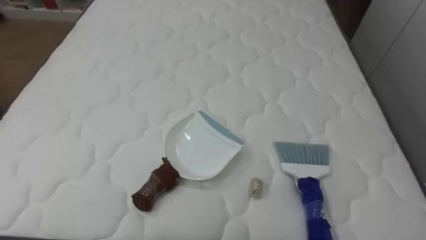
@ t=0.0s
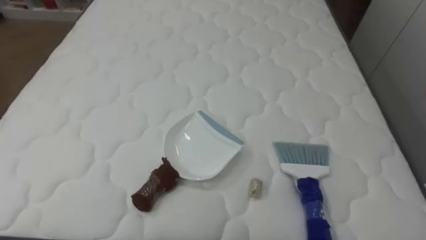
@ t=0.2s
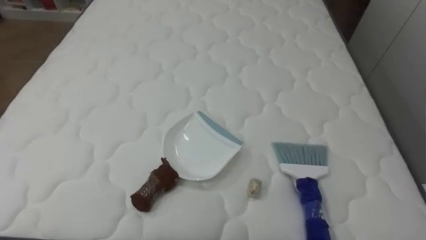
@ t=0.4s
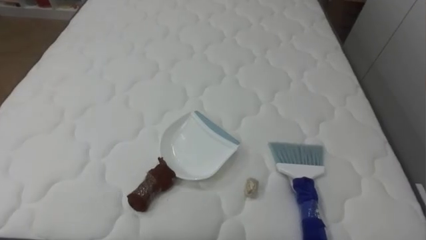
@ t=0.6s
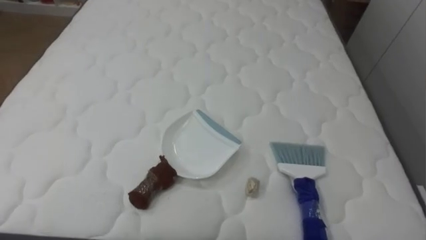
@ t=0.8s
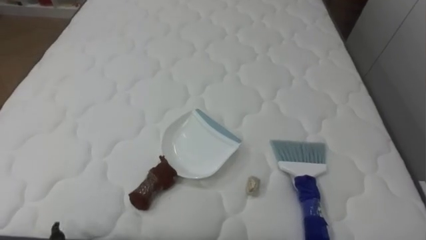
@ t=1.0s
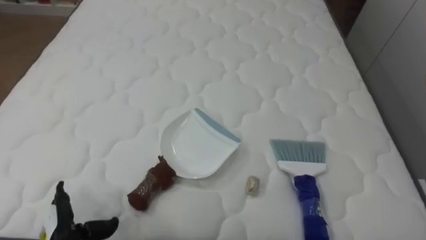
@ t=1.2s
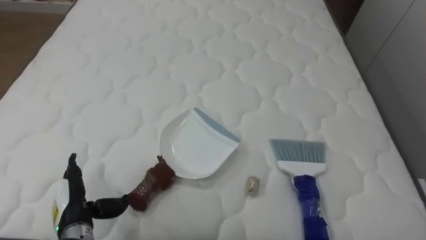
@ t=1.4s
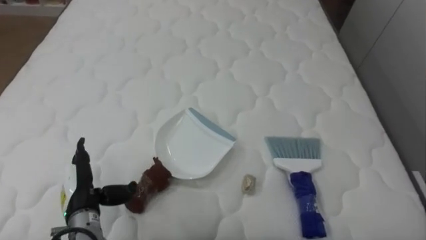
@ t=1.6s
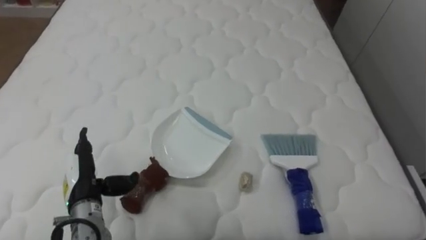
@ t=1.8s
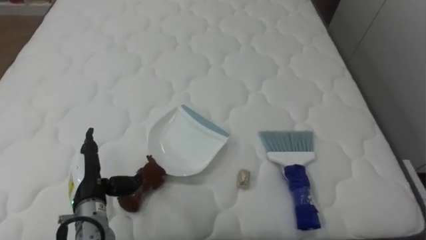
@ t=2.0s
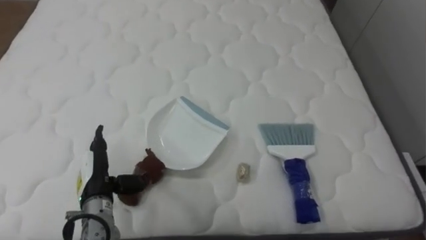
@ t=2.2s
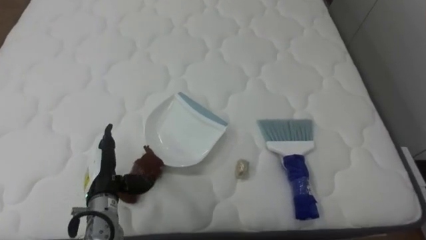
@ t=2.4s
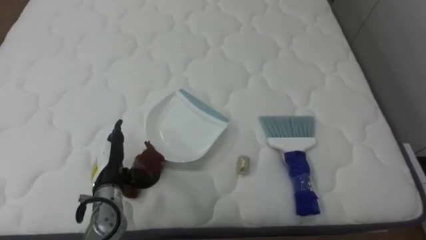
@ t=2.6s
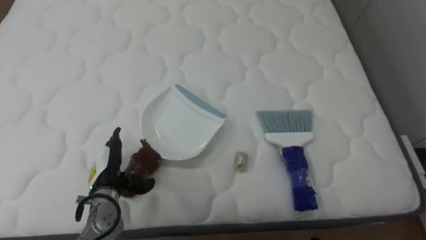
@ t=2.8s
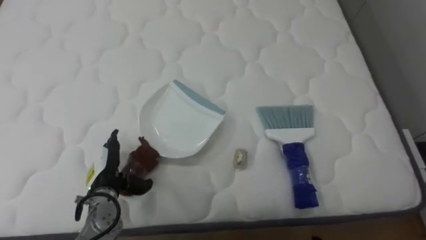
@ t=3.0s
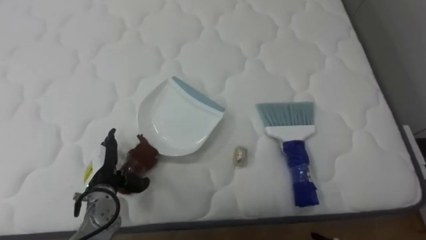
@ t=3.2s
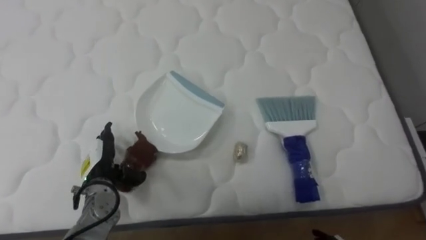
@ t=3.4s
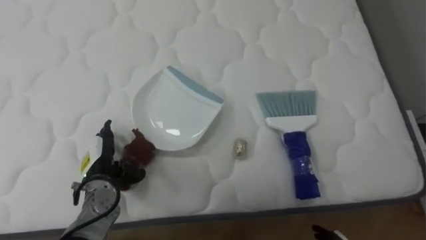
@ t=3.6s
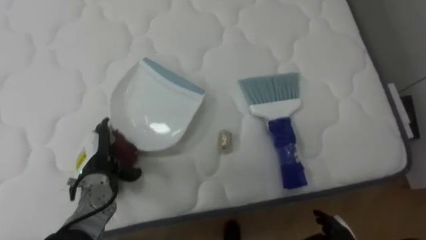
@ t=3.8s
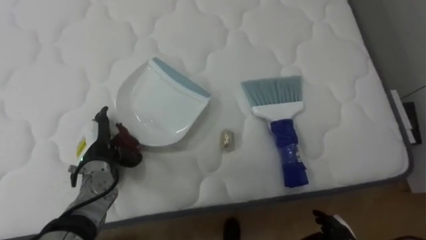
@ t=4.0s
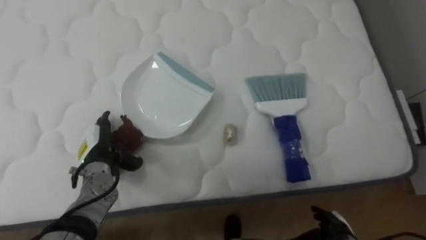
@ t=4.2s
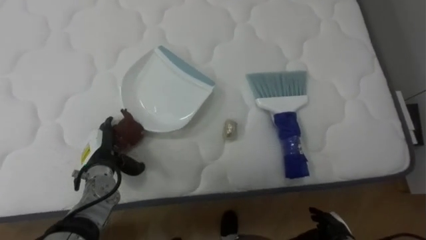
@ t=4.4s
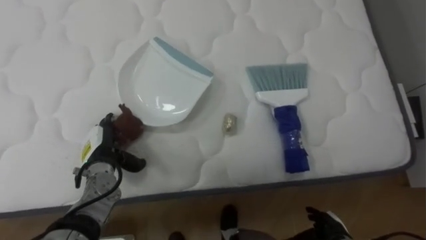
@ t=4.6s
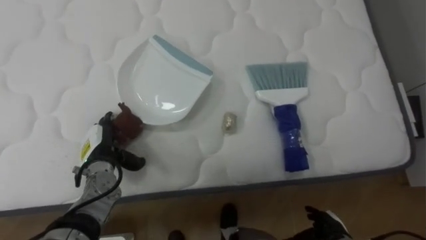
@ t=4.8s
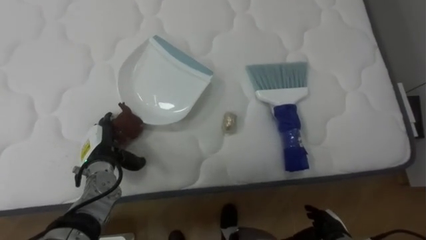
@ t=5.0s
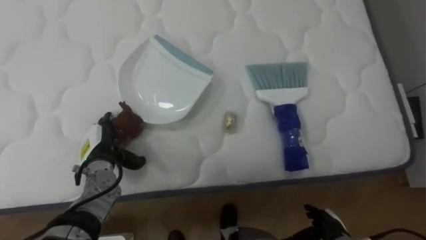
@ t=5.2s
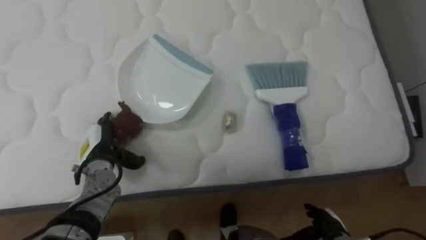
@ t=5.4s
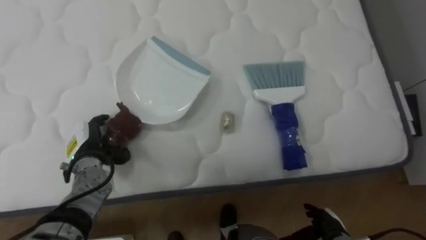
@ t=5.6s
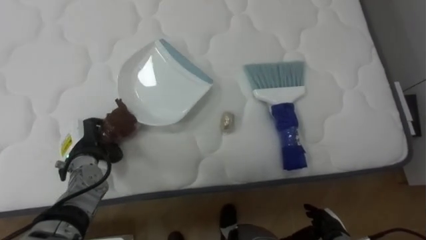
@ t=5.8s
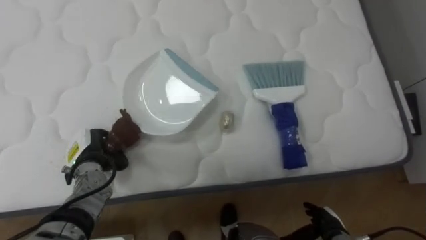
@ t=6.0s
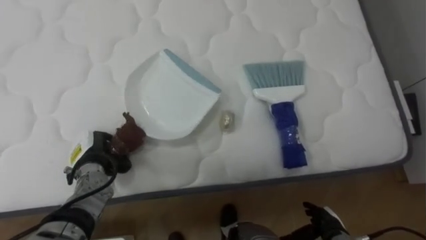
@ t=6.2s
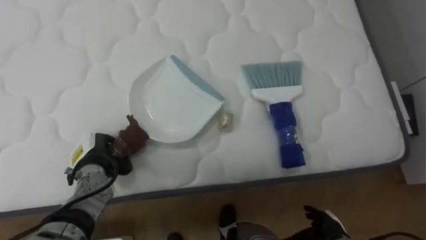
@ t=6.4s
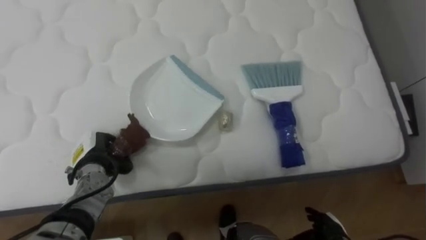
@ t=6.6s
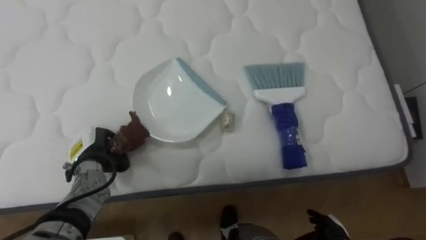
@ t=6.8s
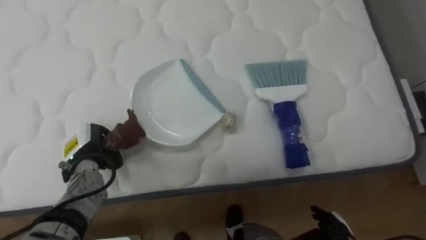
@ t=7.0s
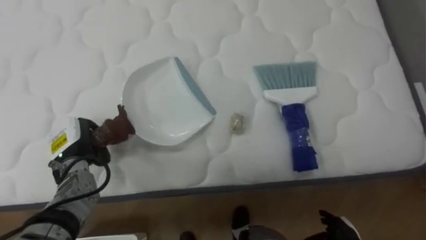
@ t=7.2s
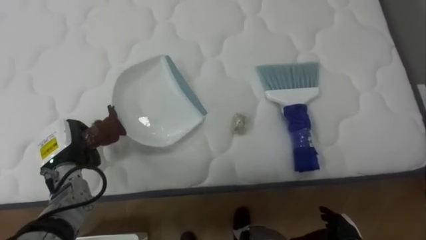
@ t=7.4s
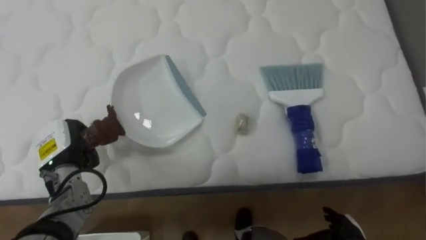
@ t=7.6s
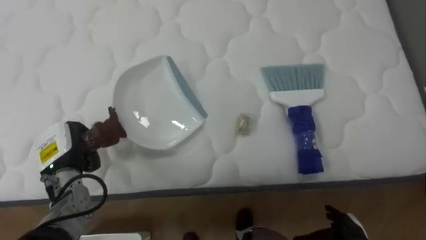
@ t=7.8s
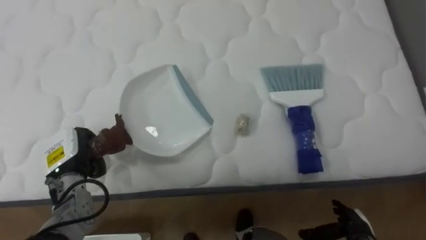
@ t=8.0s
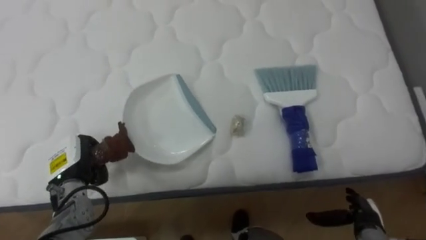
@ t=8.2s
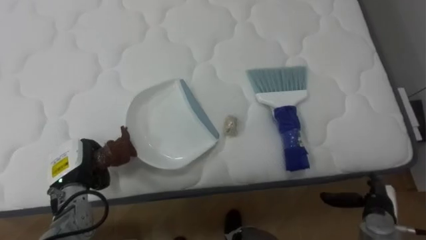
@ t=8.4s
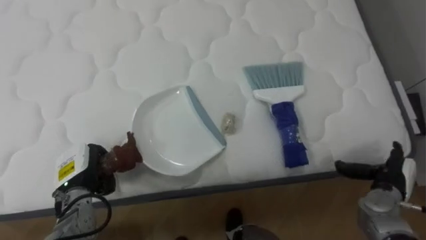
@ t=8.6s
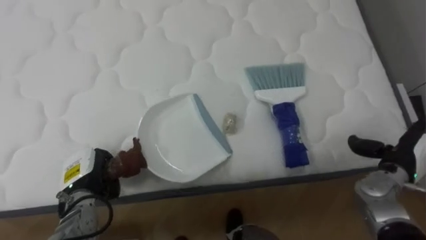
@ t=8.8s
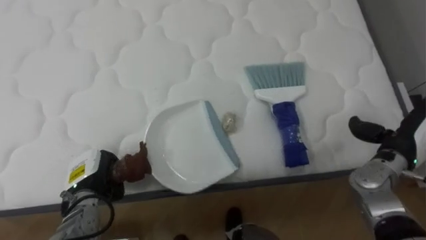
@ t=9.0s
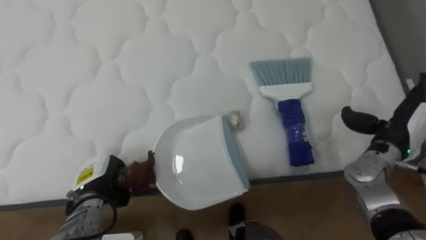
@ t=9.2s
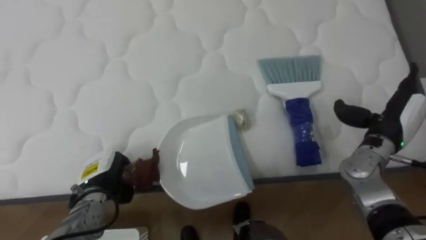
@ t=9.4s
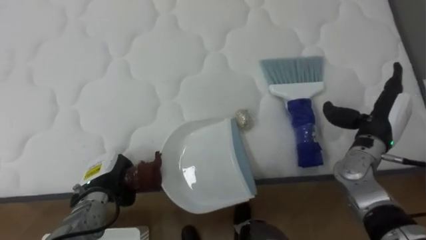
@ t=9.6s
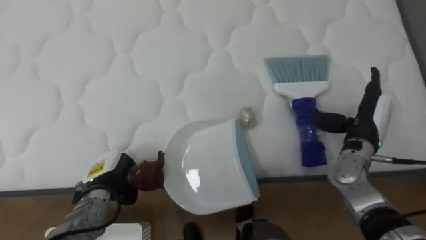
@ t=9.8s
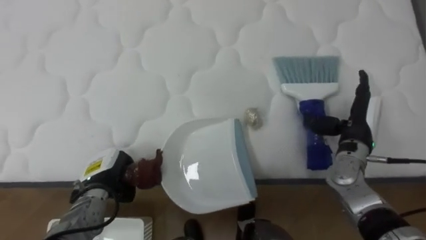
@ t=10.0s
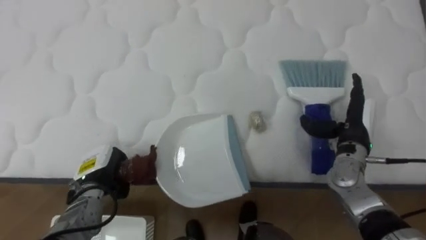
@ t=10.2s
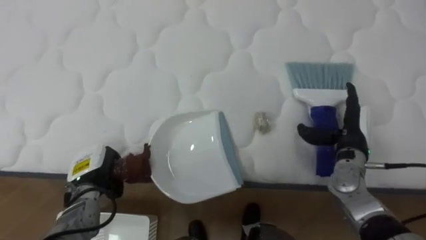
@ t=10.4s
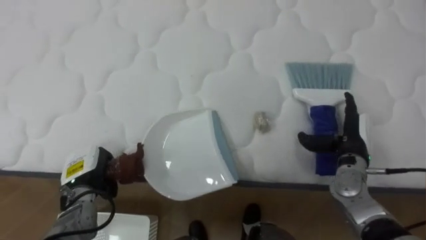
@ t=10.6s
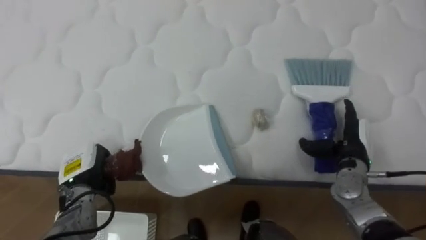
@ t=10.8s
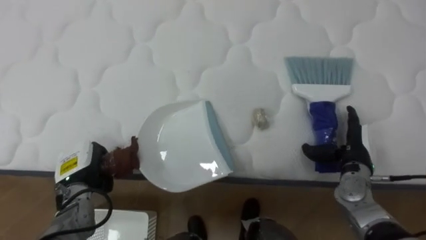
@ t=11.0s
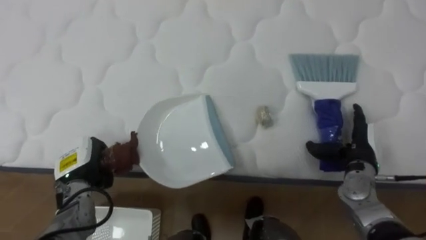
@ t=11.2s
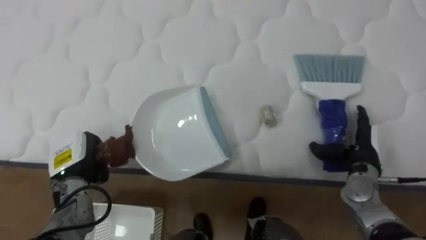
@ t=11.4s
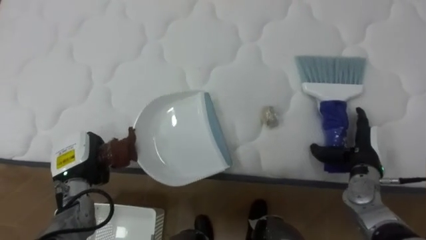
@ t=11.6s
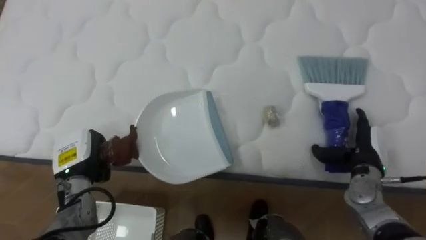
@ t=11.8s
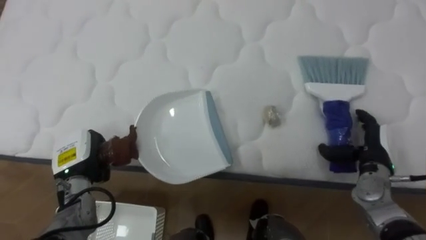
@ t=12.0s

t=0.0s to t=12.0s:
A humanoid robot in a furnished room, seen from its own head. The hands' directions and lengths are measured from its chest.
Task of the whole recording: Pick up the brush on your right and the dustpan on your left. Use the brush to sweep the crumpled paper on the bed into the dustpan, then turn left and empty it into the basket.
t=1.6s to t=3.0s: The left hand shifts by roughly 5 cm.
t=4.4s to t=6.0s: The left hand closes its fingers.
t=7.6s to t=9.0s: The left hand goes some 5 cm downward.
t=9.0s to t=10.4s: The right hand heads to the left, covering roughly 10 cm.
t=10.4s to t=12.0s: The right hand moves about 5 cm.

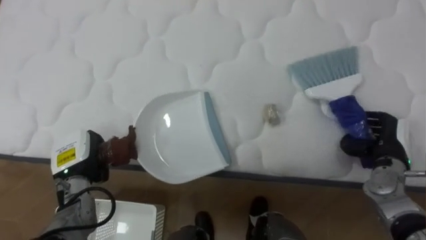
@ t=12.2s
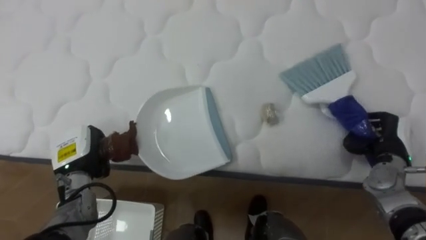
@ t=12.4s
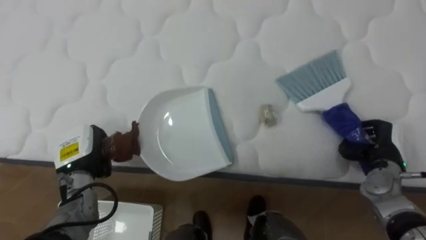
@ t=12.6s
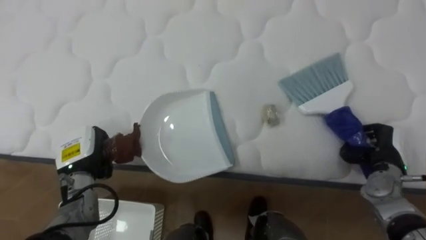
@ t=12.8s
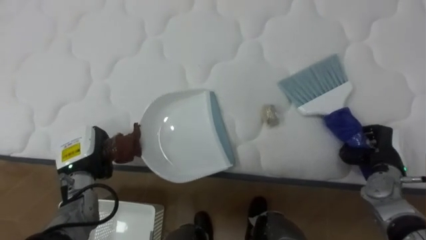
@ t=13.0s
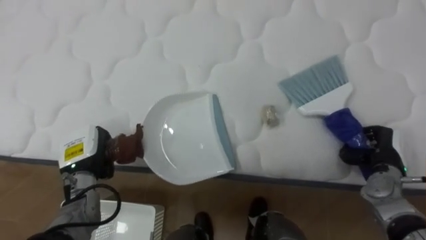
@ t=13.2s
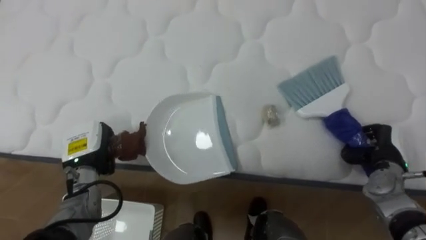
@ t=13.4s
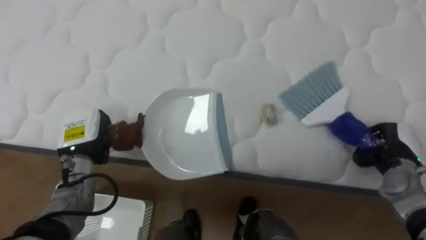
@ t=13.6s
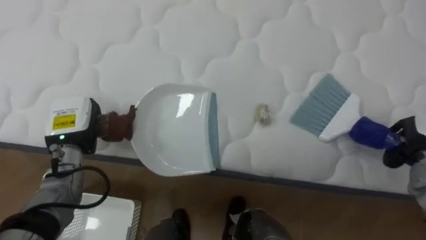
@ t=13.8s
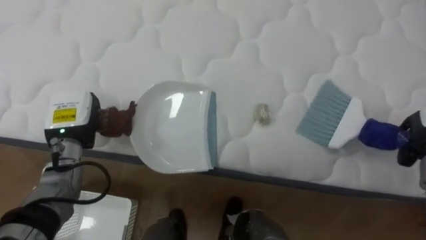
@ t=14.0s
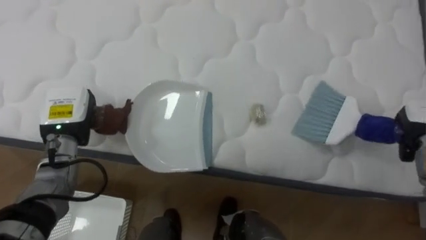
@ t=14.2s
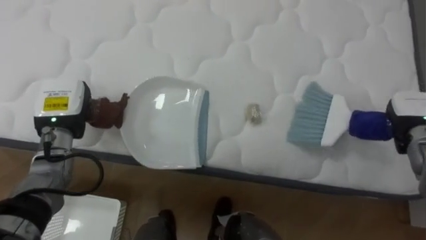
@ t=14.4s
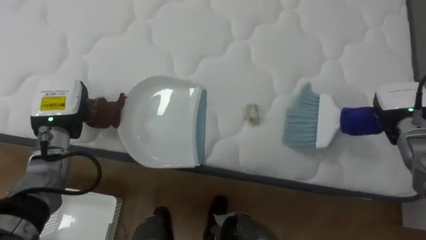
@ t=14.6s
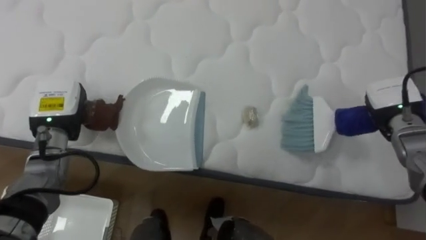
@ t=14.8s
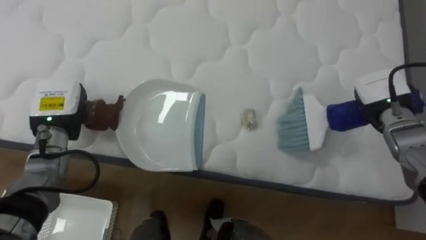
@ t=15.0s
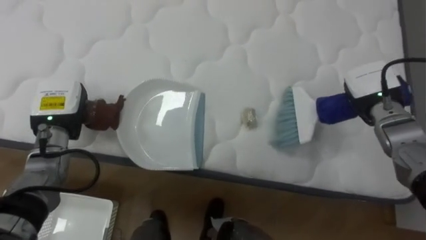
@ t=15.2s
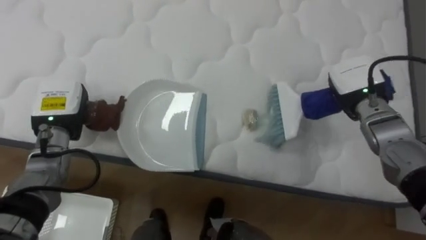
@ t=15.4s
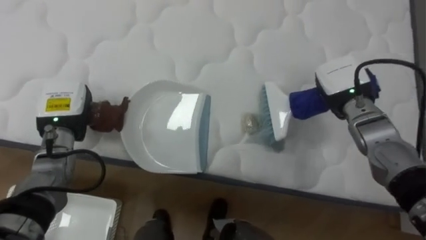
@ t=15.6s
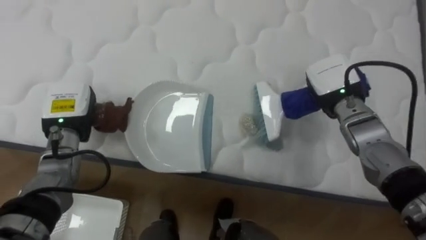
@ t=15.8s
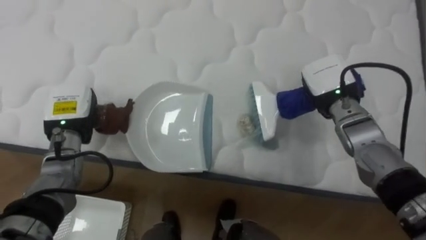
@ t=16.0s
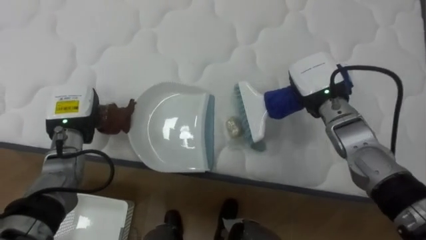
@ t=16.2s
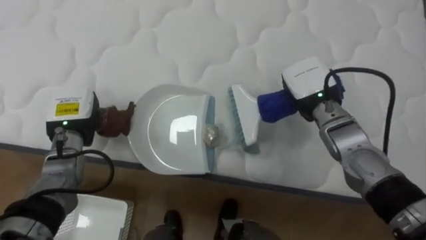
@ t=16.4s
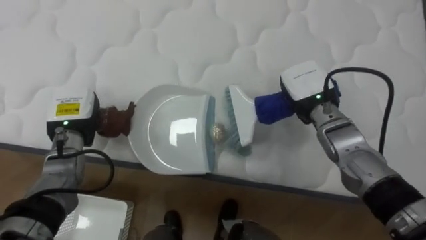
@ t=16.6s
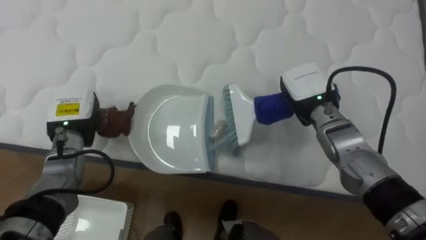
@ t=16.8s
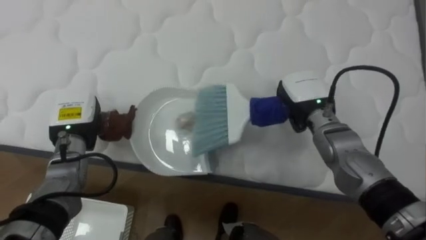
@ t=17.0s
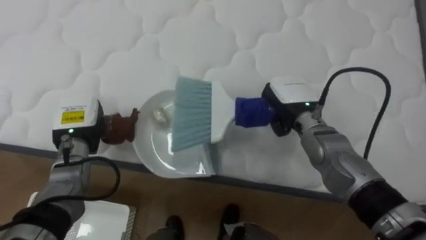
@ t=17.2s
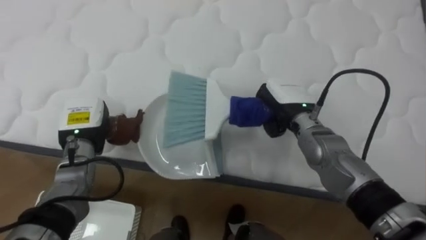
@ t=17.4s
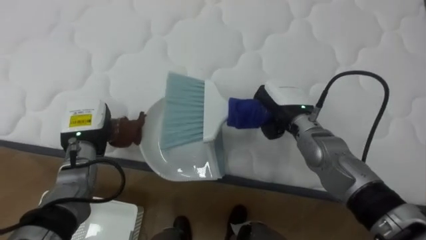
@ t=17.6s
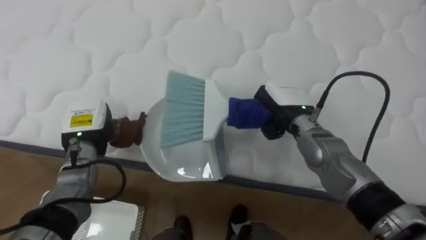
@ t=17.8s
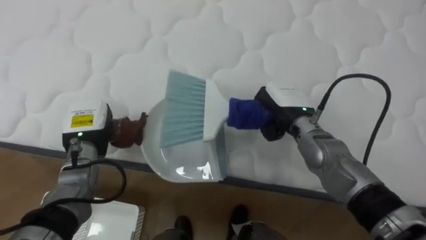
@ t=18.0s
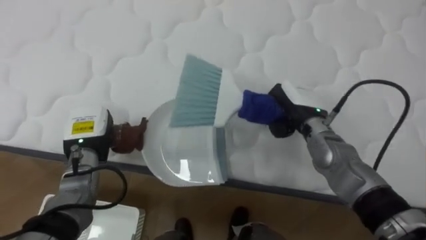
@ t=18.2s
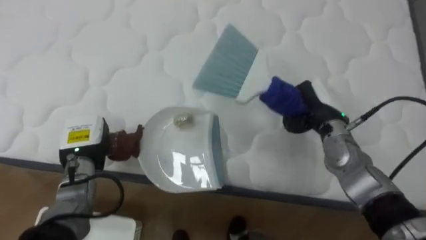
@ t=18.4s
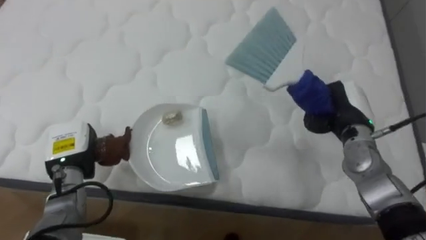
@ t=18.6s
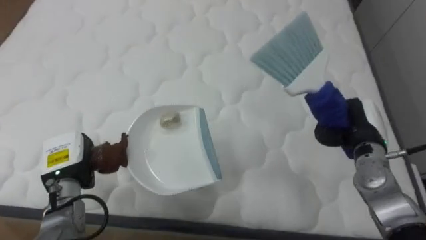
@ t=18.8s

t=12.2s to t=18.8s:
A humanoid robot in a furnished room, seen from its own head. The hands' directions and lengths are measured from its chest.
Task of the whole recording: Pick up the brush on your right and the dustpan on your left. Use the brush to sweep the crumpled paper on the bed into the dustpan, then turn left and empty it into the basket.
t=12.2s to t=13.8s: The right hand goes some 5 cm to the right; the left hand goes some 5 cm upward.
t=15.4s to t=17.2s: The right hand goes roughly 10 cm to the left.
t=17.2s to t=18.8s: The left hand travels backward by roughly 5 cm. The right hand goes approximately 15 cm to the right.
